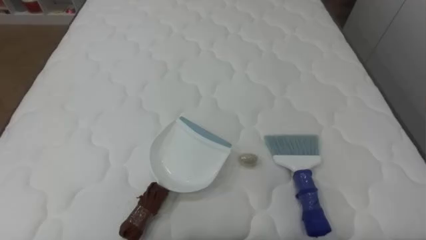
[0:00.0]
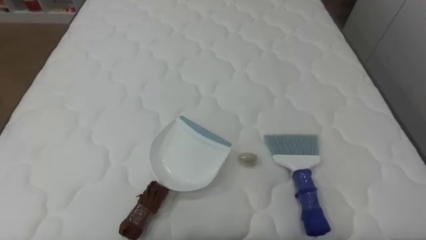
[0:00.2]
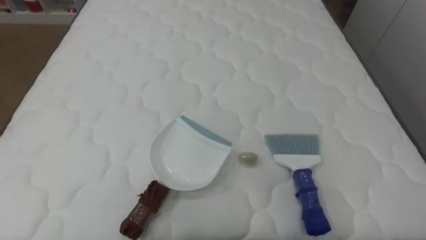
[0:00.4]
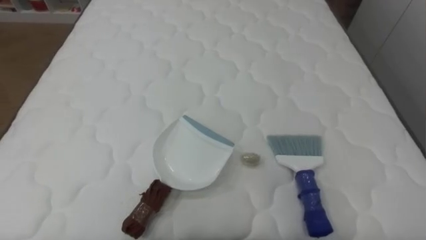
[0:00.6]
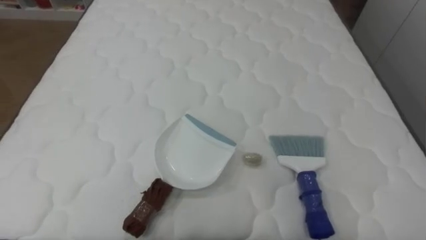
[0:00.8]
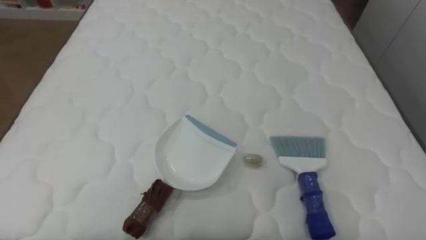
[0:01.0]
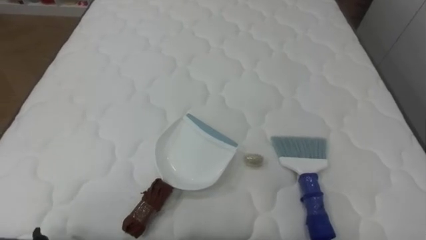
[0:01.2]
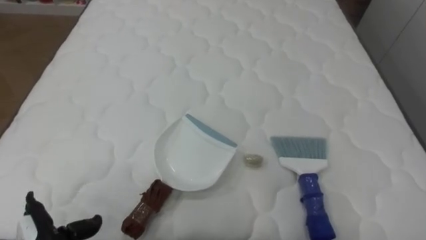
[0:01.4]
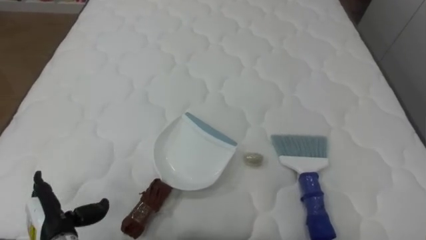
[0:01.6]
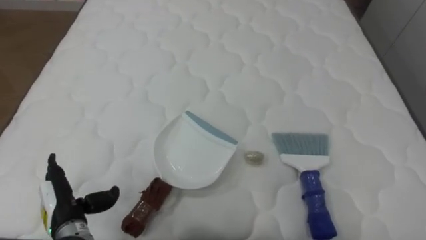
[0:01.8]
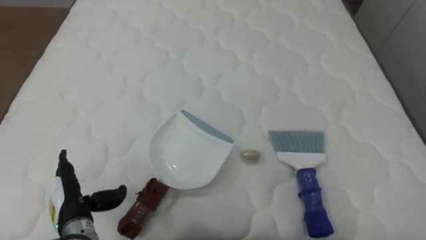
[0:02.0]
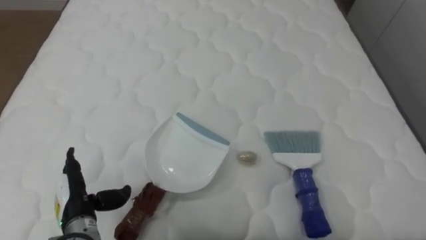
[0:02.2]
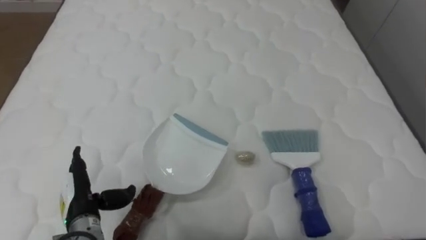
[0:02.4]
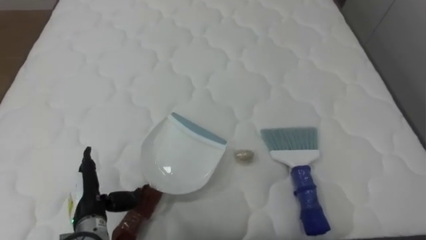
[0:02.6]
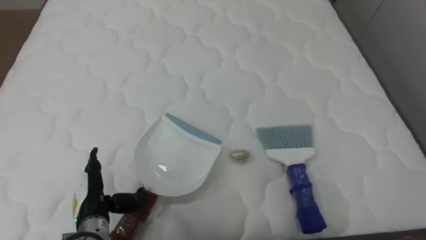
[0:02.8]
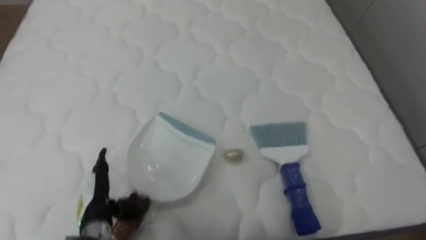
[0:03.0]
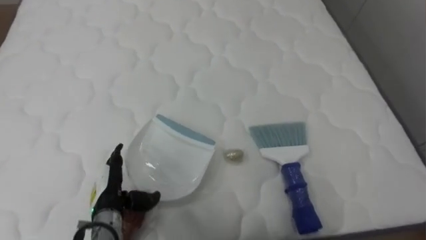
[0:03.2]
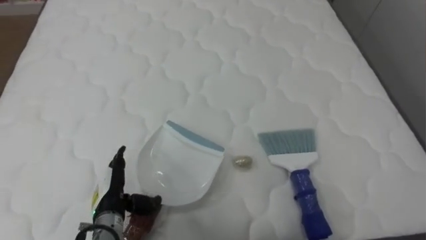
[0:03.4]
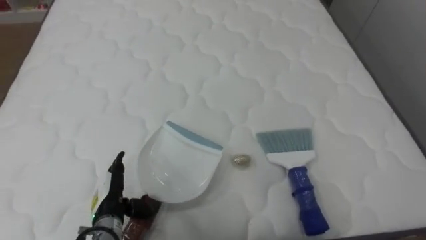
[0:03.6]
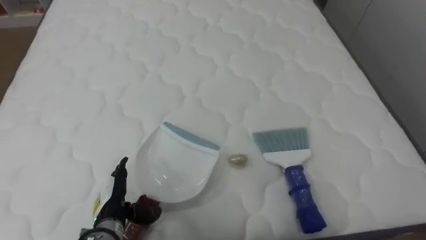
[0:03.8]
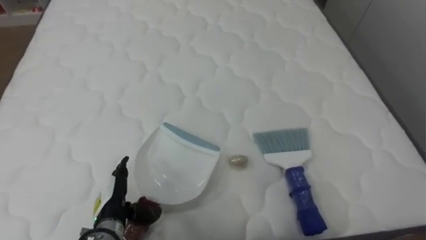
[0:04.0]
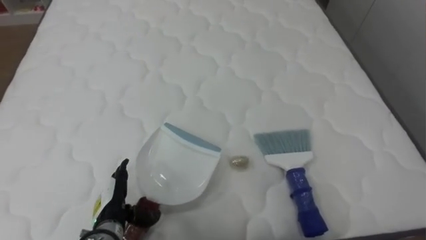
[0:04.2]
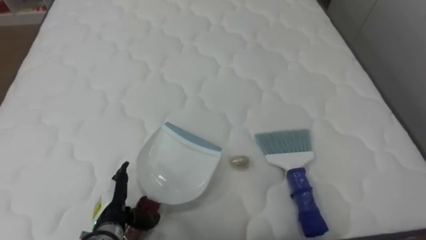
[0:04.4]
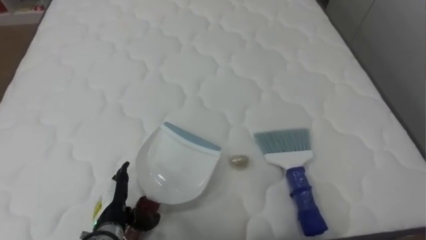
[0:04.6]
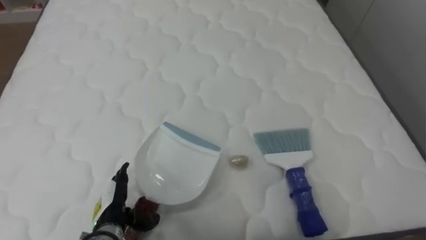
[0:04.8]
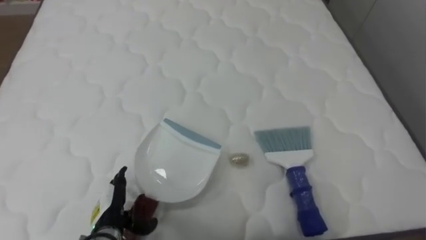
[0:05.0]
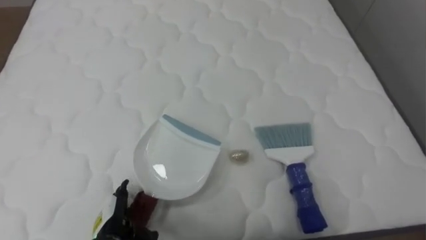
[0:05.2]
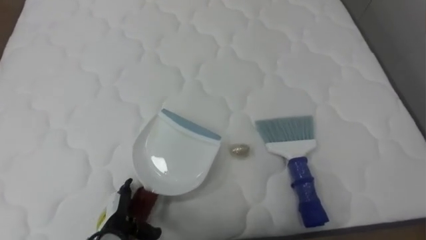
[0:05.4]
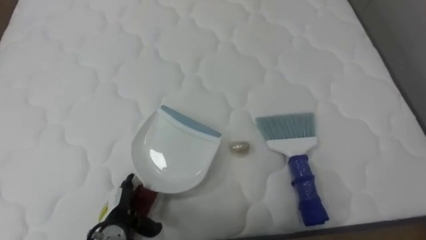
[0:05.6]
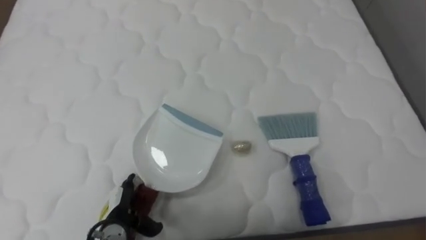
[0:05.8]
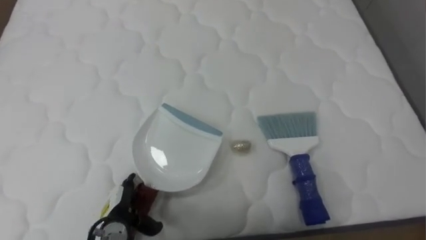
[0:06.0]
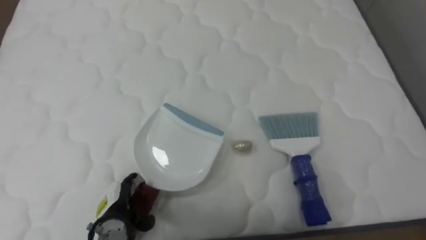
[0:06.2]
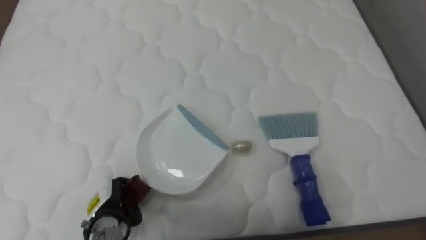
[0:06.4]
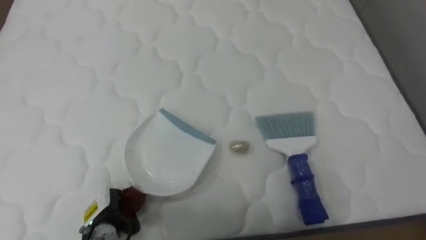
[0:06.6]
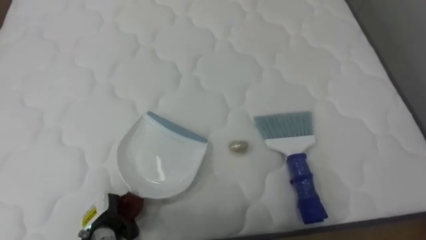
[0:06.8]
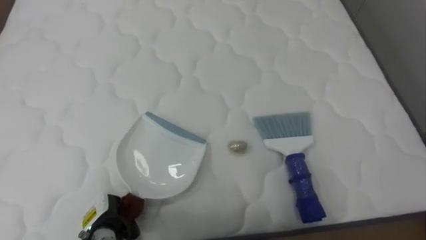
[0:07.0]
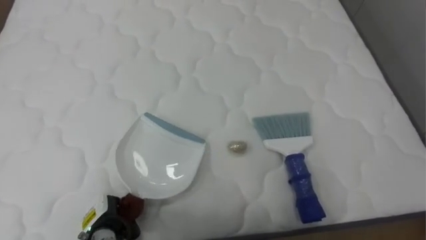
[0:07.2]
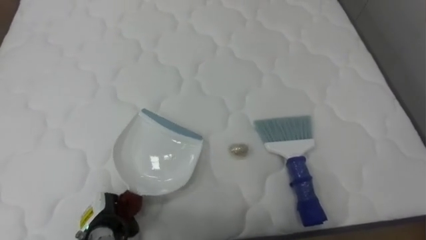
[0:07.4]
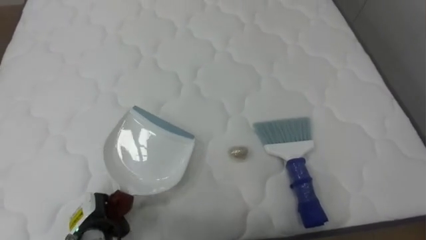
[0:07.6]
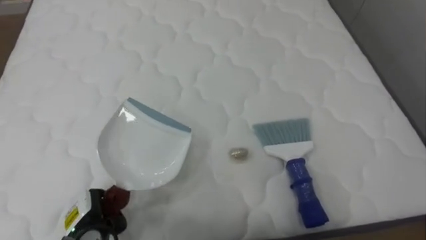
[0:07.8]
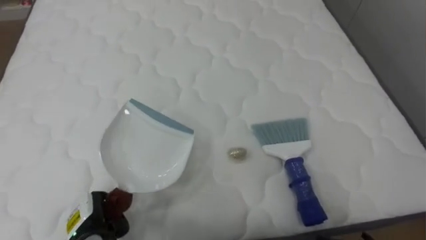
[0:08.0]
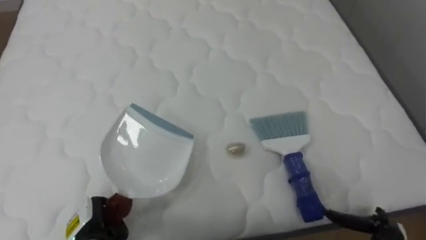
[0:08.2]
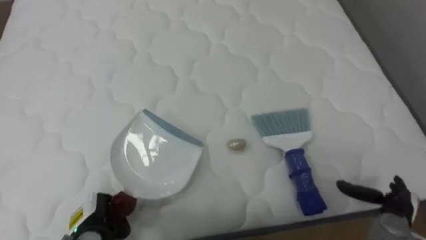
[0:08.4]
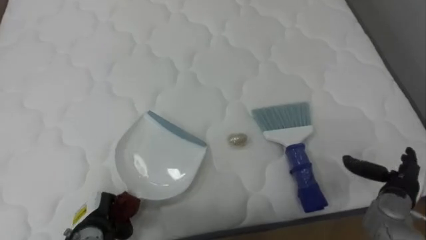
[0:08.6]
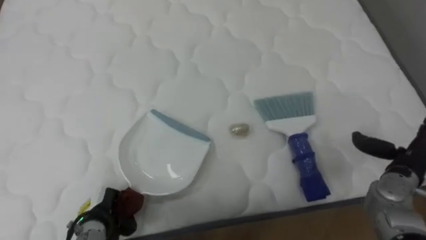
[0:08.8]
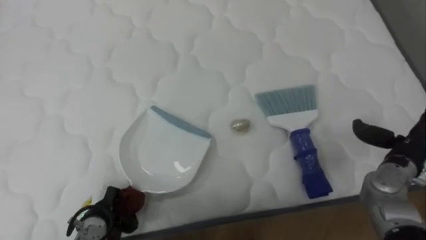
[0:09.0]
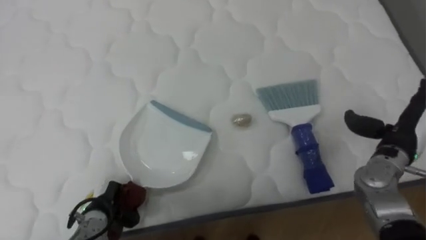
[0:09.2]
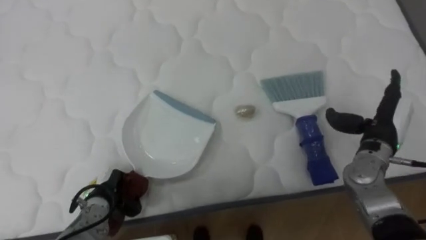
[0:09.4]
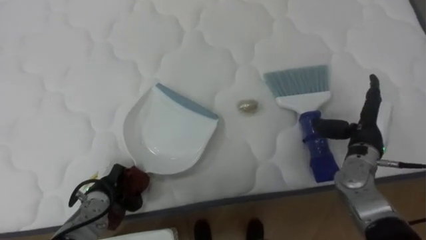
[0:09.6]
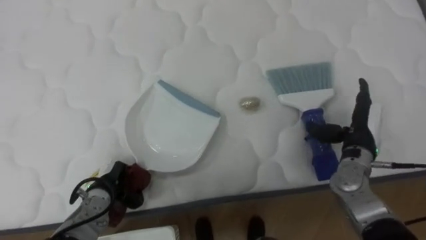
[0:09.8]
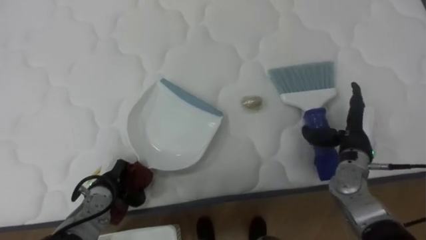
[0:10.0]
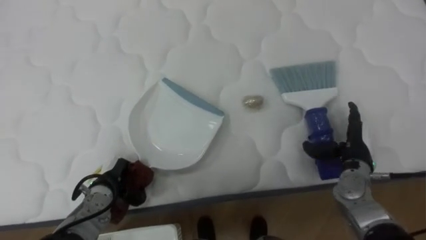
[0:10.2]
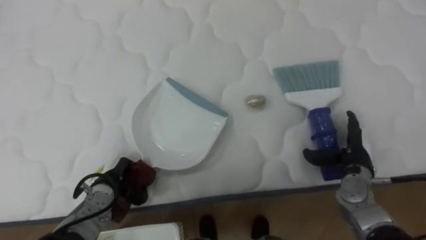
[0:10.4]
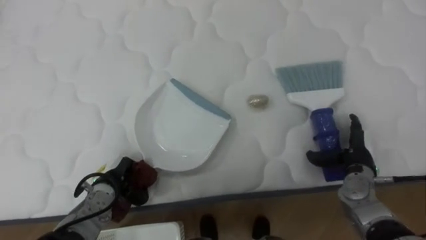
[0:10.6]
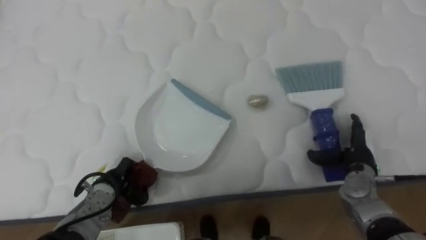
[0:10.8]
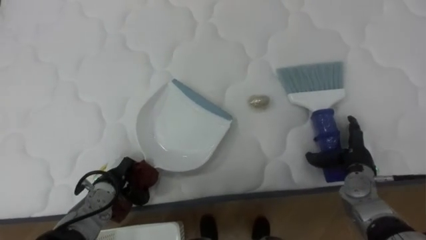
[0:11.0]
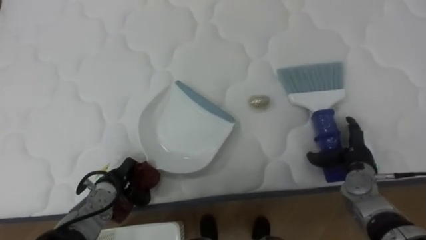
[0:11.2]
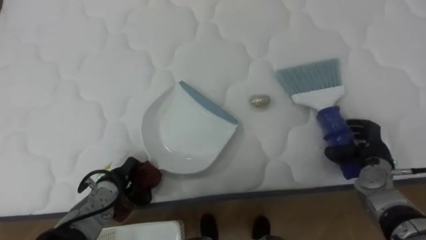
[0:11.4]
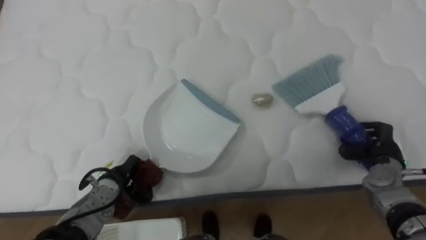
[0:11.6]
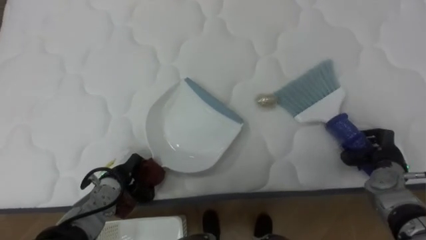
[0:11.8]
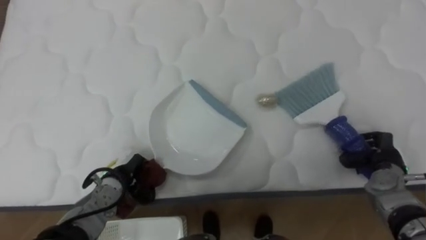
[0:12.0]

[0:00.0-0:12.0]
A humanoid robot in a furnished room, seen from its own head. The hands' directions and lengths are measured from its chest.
Task of the whole recording: Pick up the brush on your right and the dustpan on your left. Use the brush to sweep the crumpled paper on the bed into the dustpan, then turn left and empty it into the basket.
0:01.6 to 0:03.0: The left hand travels to the right by about 5 cm.
0:06.0 to 0:07.6: The left hand heads to the left, covering about 5 cm, and closes.
0:09.0 to 0:10.4: The right hand goes about 10 cm to the left, while the left hand travels forward by about 5 cm.
0:10.4 to 0:12.0: The right hand travels to the right by about 5 cm, and closes up.

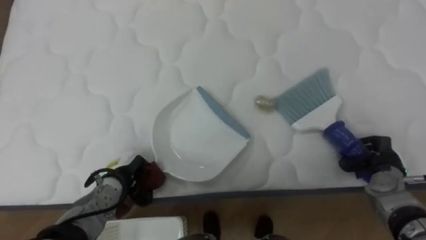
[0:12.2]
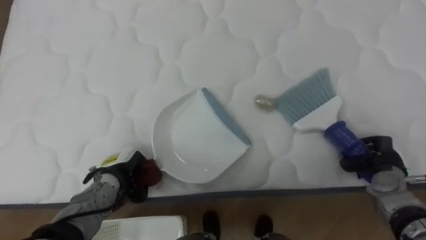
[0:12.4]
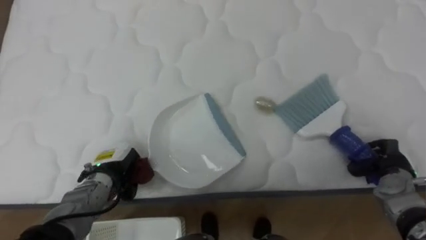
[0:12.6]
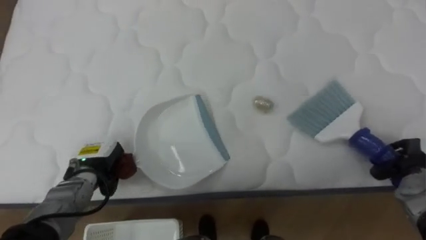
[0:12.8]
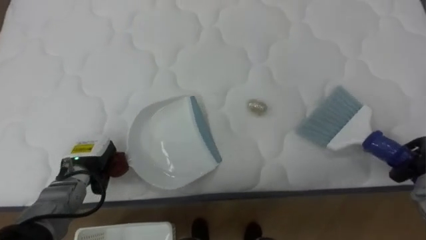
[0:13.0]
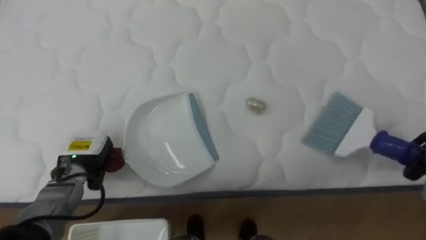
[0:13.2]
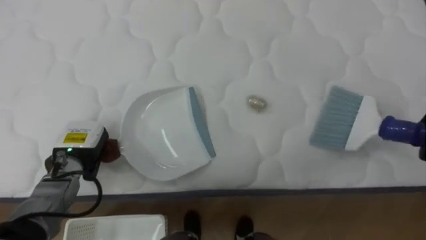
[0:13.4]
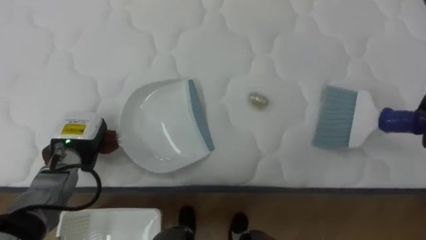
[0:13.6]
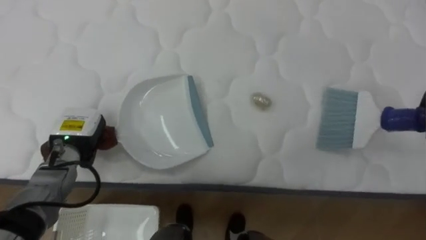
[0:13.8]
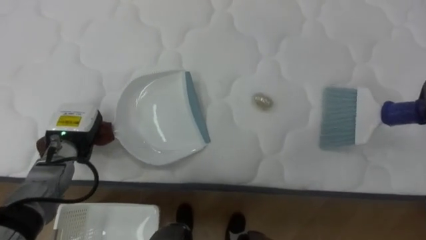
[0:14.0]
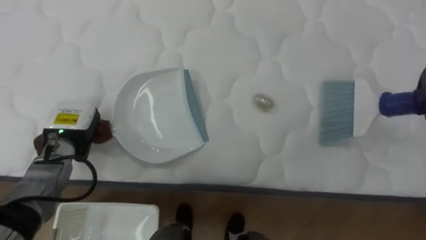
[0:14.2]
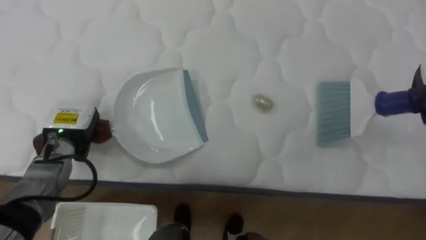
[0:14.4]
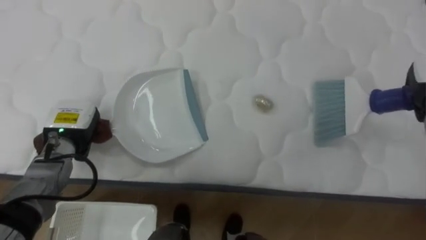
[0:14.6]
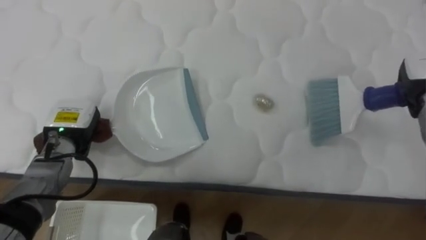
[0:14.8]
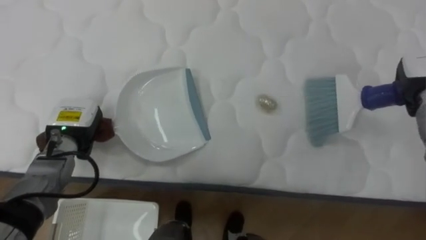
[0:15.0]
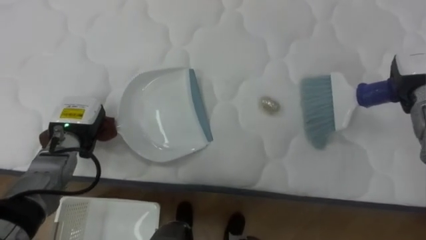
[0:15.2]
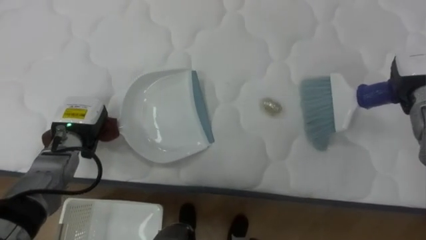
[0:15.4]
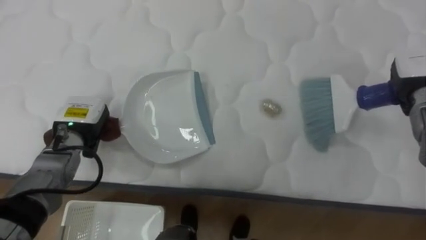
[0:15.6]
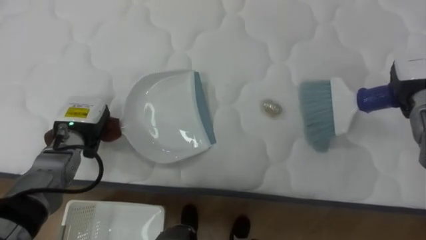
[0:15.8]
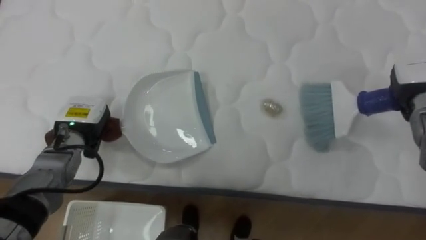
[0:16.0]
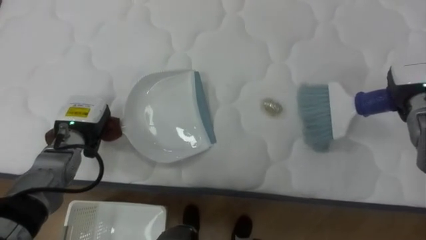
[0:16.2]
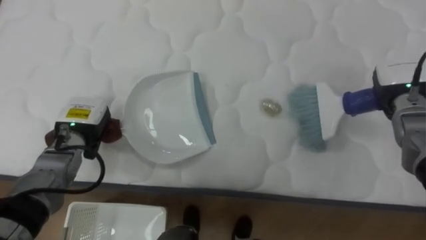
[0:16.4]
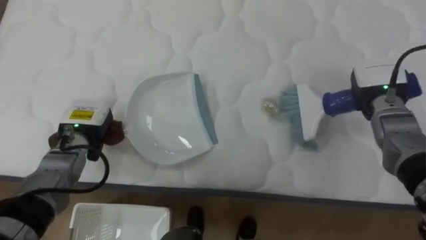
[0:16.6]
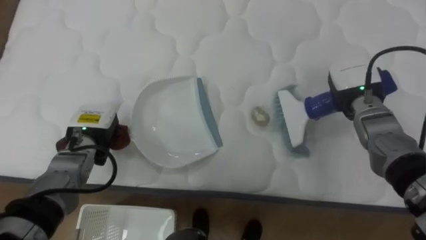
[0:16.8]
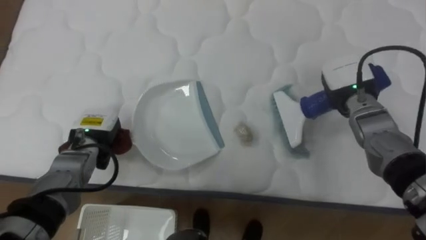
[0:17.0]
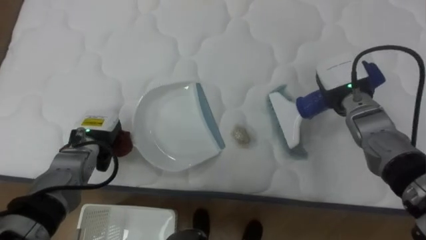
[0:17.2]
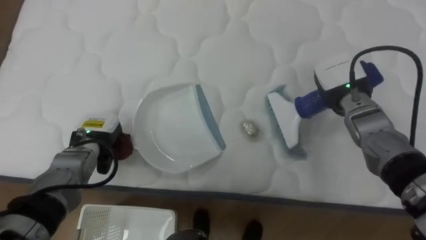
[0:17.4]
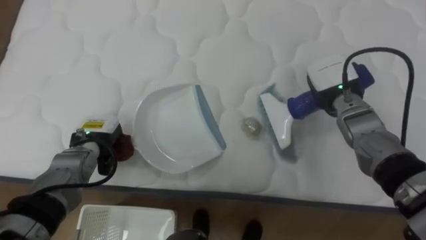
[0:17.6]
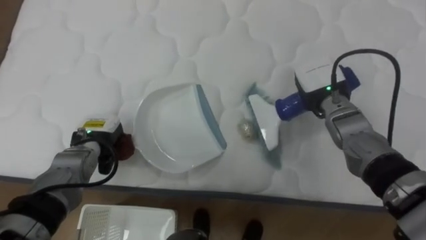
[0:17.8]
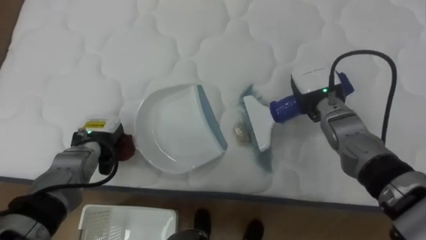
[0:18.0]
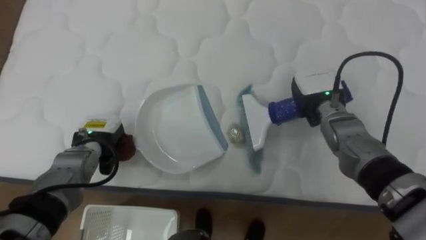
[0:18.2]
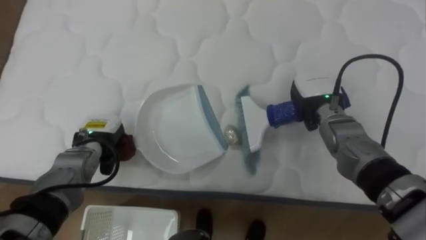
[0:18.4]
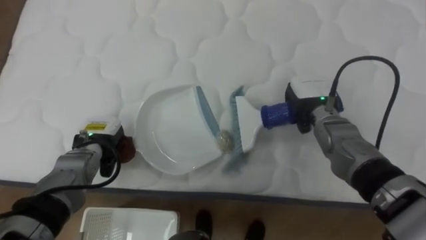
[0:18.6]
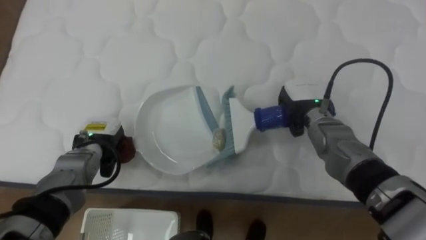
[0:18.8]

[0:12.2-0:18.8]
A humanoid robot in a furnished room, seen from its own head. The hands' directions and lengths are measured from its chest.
Task of the whole recording: Pick up the brush on your right and the dustpan on your left. Use the brush to sweep the crumpled paper on the bed into the dustpan, then turn left and empty it into the basket.
0:12.2 to 0:13.8: The left hand shifts approximately 10 cm upward and to the left.
0:15.4 to 0:17.2: The right hand shifts roughly 10 cm to the left.
0:17.2 to 0:18.8: The right hand shifts some 5 cm to the left.
